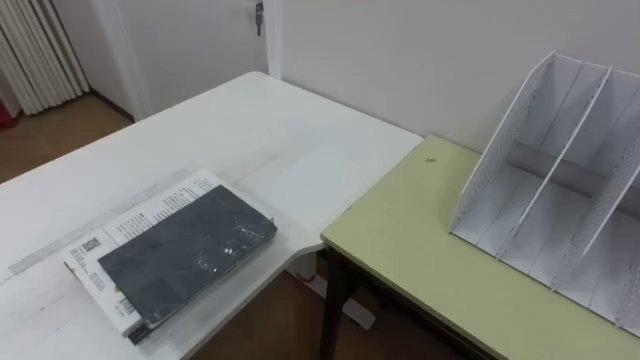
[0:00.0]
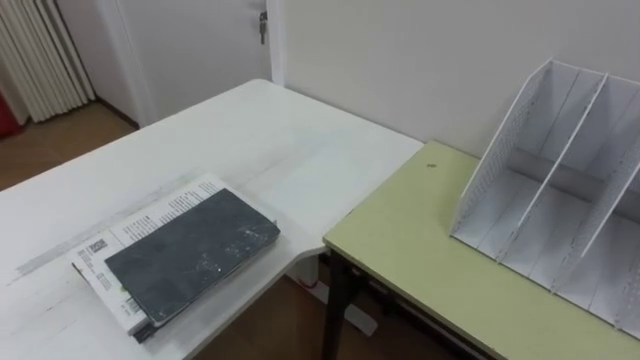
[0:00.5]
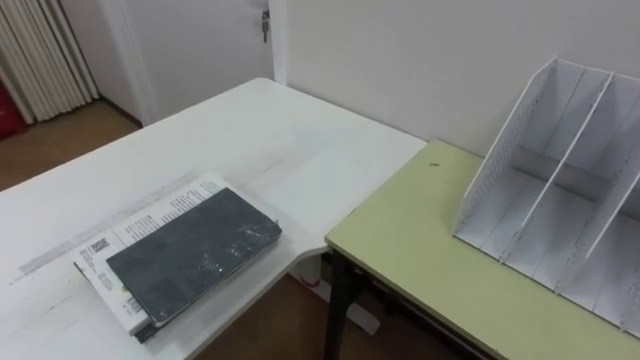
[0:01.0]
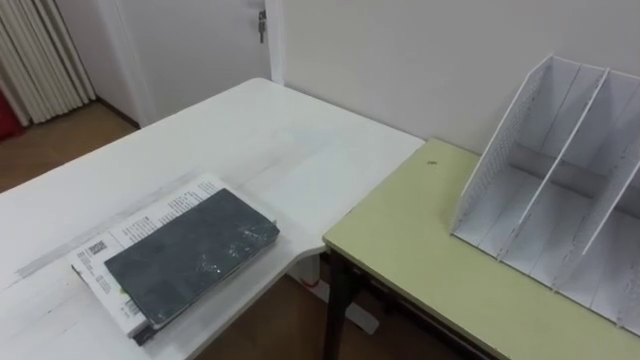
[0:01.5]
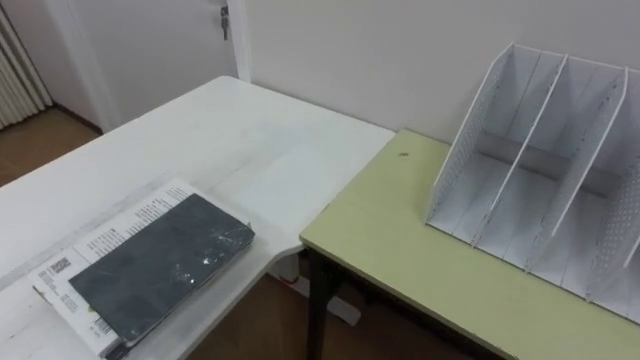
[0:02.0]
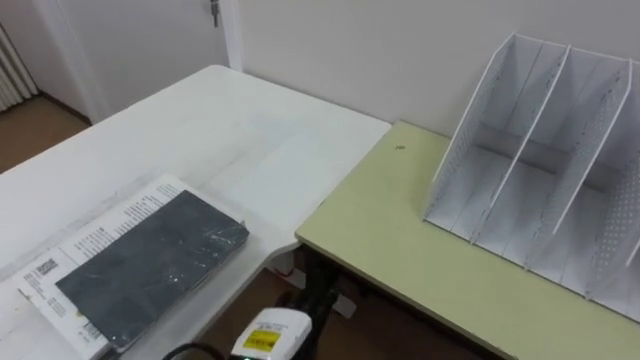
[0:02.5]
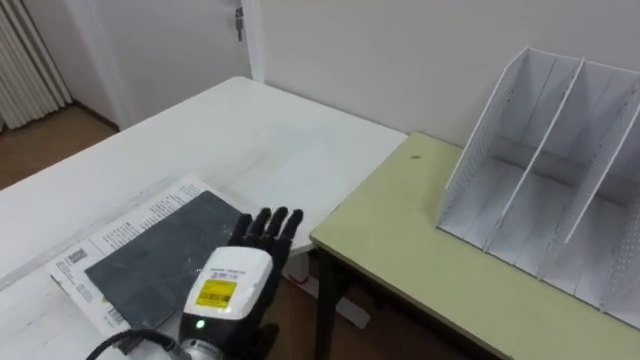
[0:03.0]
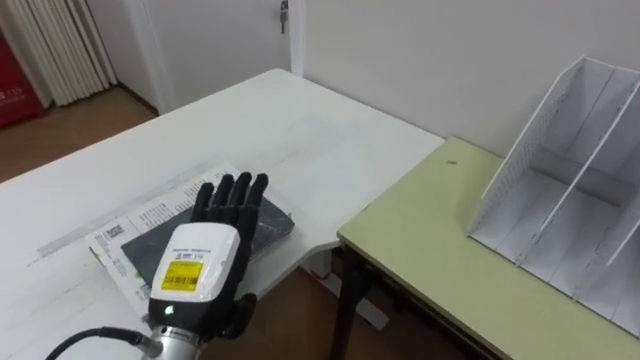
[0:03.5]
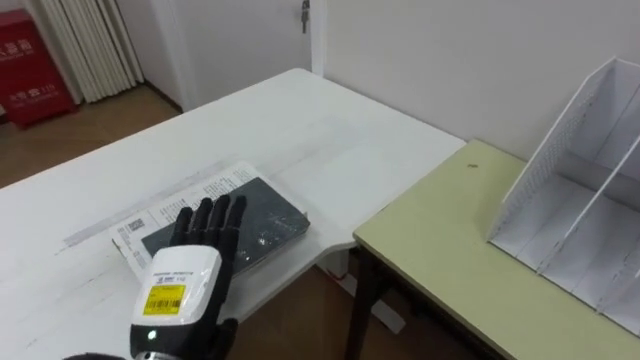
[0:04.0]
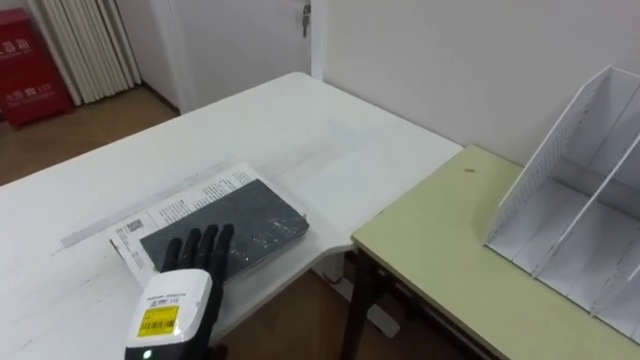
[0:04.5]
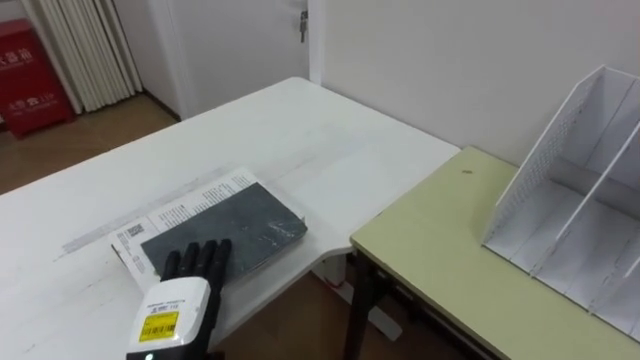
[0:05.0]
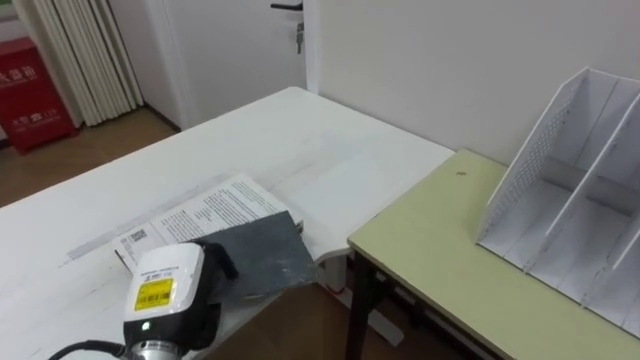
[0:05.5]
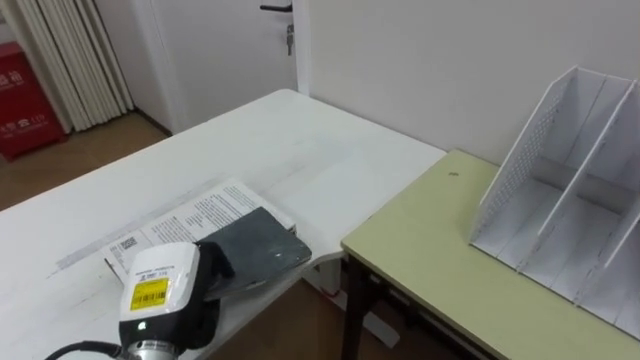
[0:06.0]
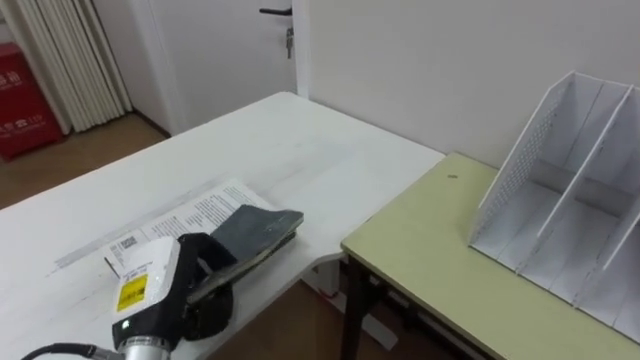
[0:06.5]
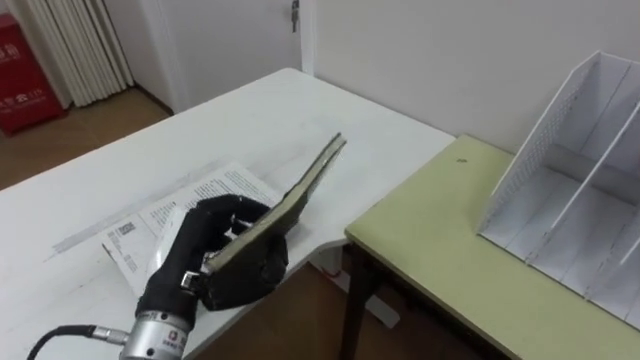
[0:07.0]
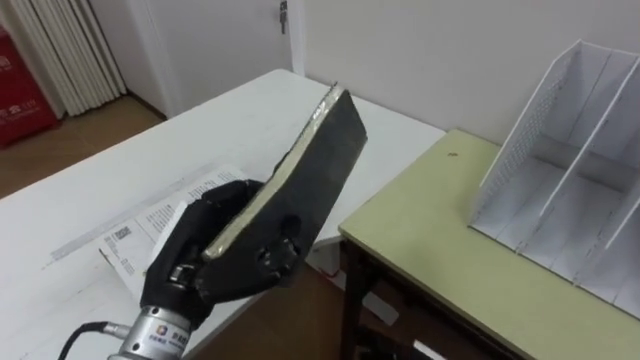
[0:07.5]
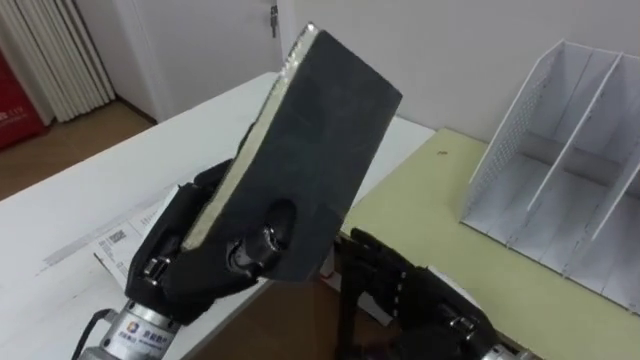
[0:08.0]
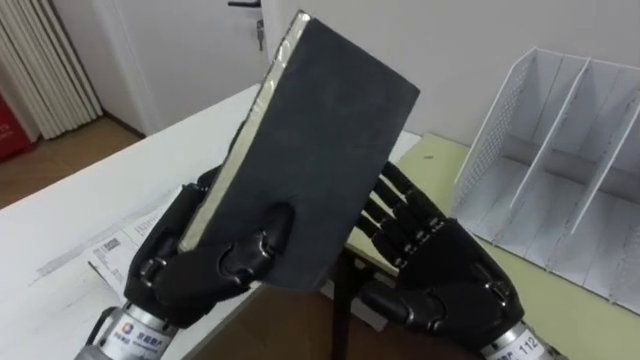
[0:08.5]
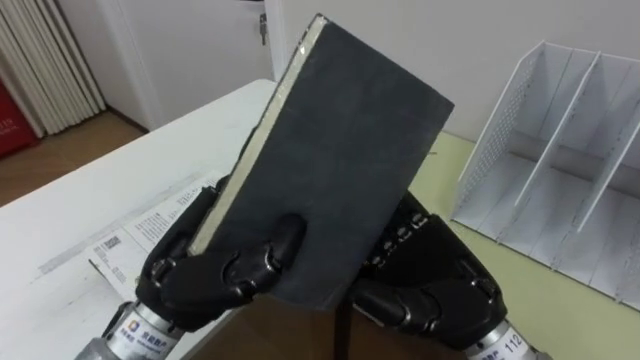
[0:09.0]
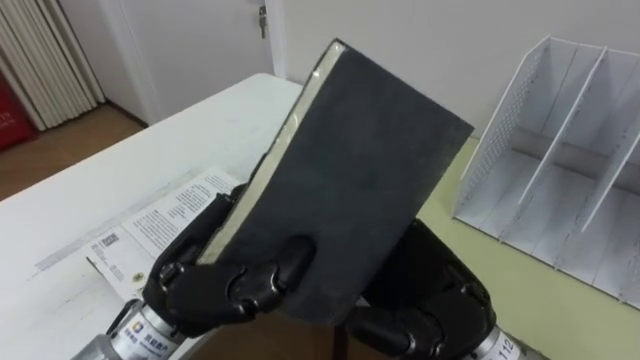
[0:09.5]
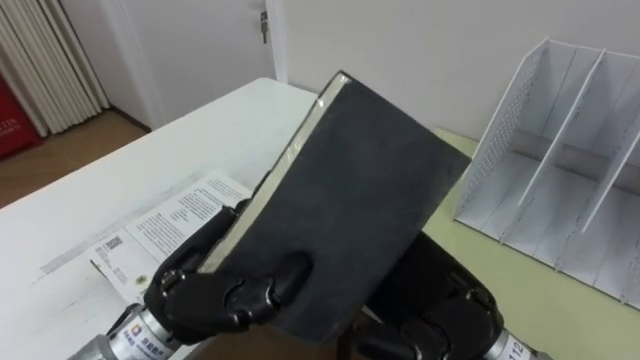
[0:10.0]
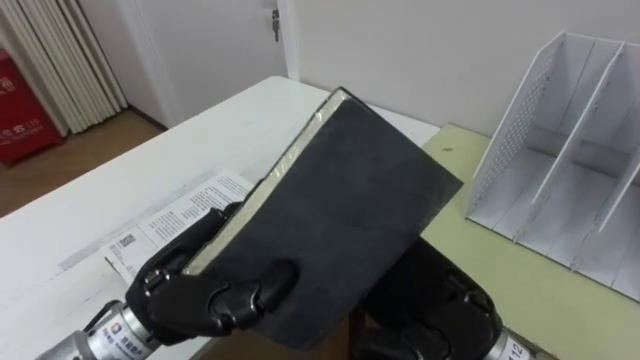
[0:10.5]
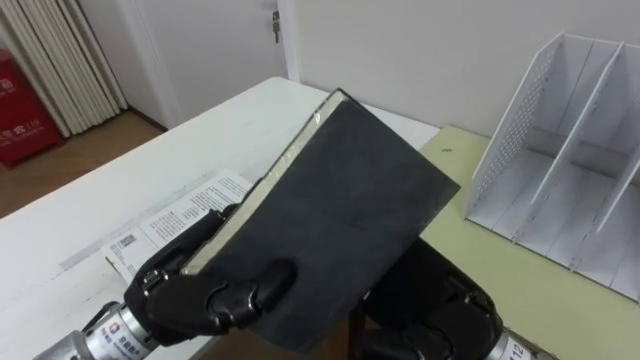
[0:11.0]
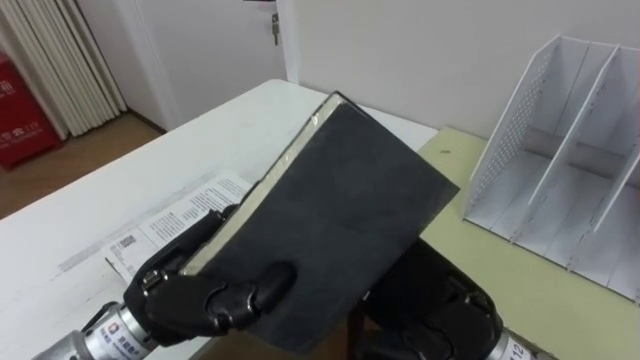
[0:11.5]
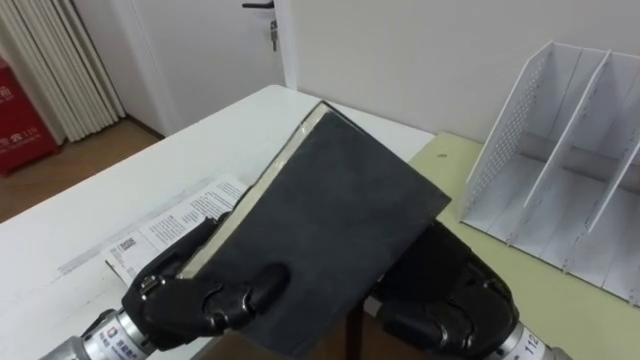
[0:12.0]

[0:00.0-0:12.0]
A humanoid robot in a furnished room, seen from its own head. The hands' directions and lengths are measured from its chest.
Task of the whole recording: Put the books on the table onto the bookshelf.
0:04.0 to 0:06.0: The left hand closes its fingers.
0:06.0 to 0:08.0: The left hand travels upward by approximately 10 cm.
0:08.0 to 0:10.0: The right hand travels upward by about 10 cm.
0:10.0 to 0:12.0: The hands stay close to where they were, moving slightly.

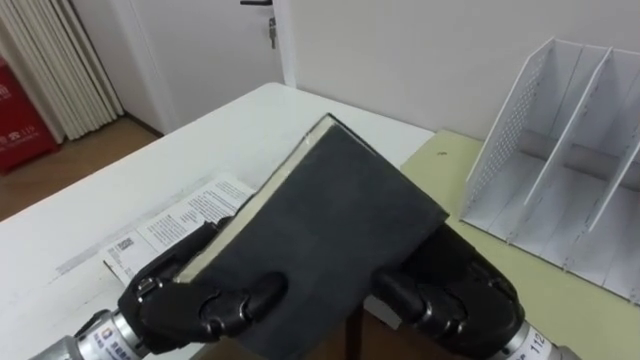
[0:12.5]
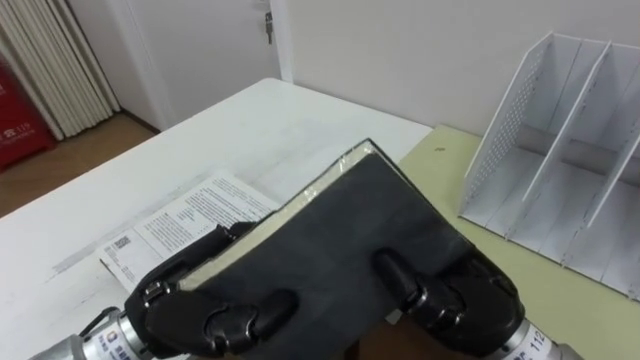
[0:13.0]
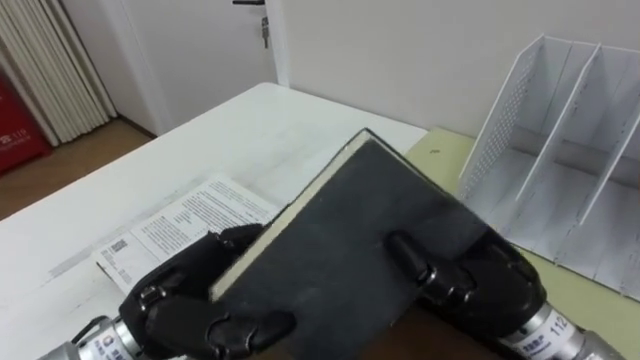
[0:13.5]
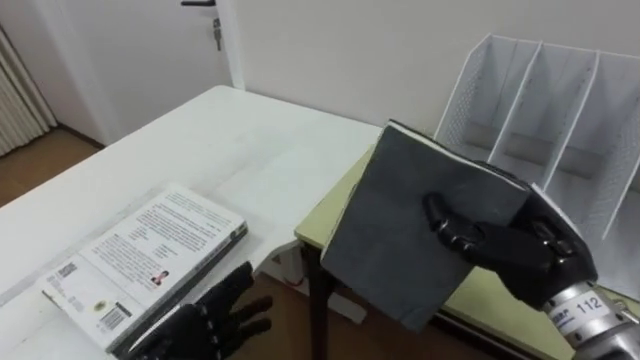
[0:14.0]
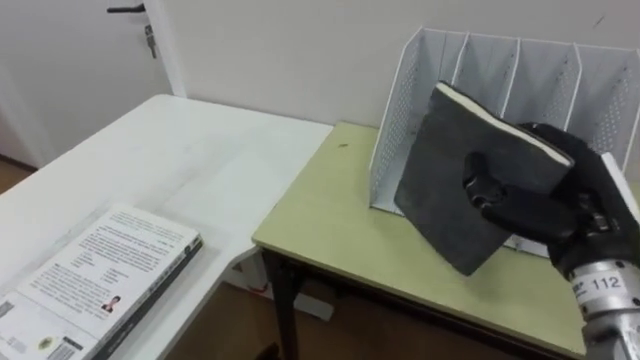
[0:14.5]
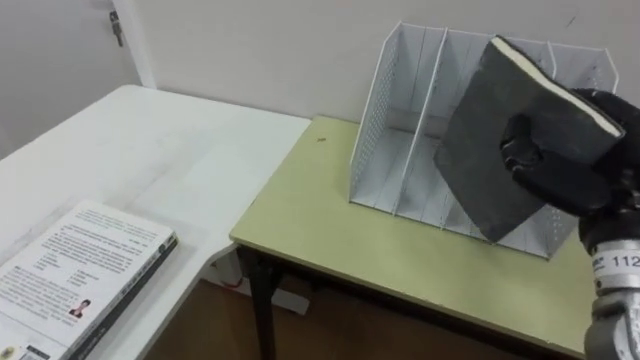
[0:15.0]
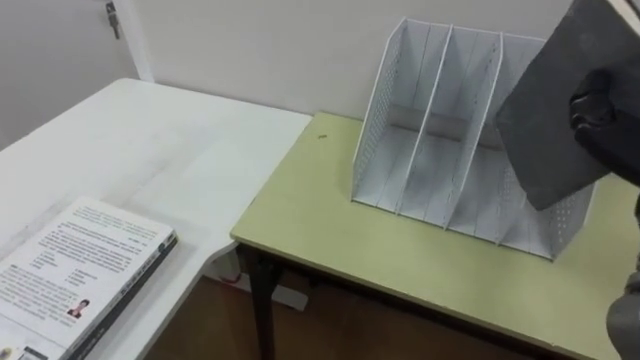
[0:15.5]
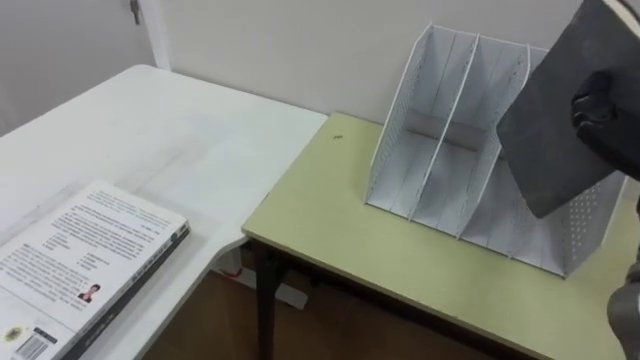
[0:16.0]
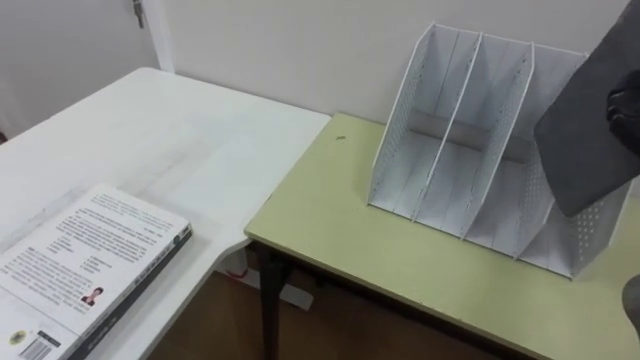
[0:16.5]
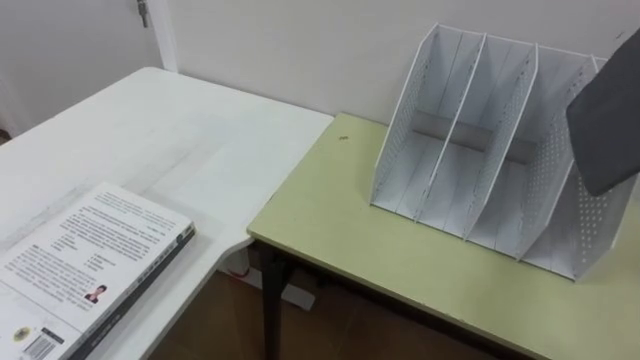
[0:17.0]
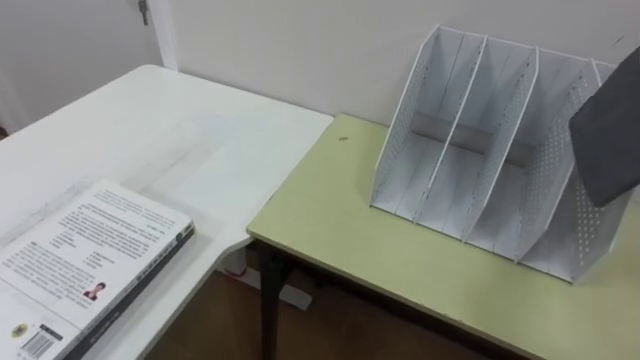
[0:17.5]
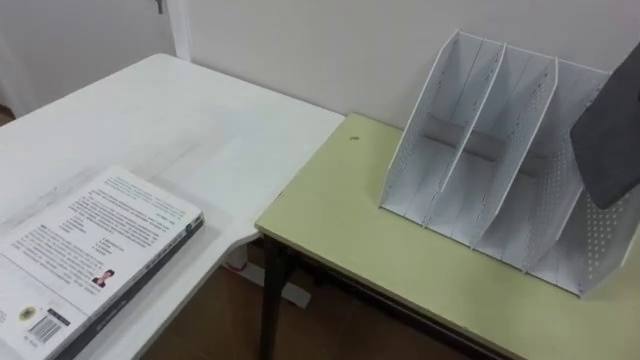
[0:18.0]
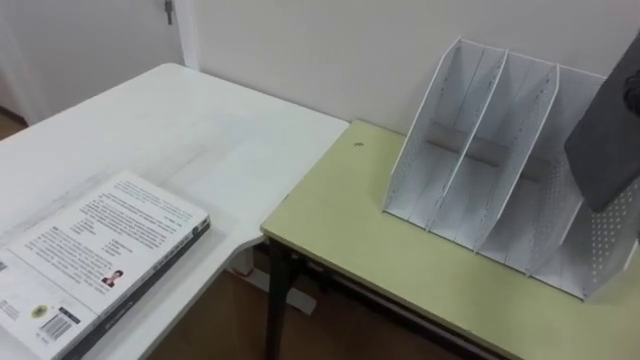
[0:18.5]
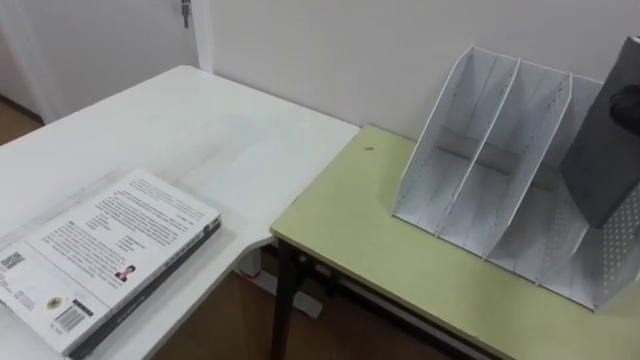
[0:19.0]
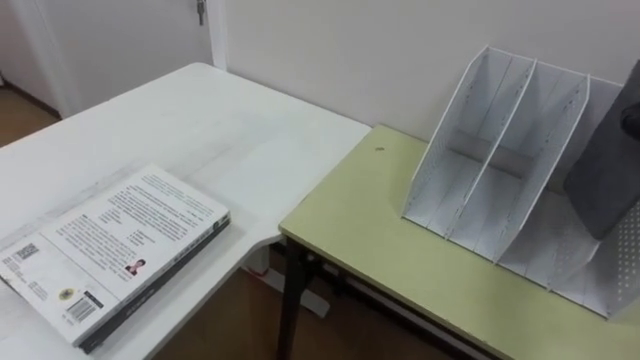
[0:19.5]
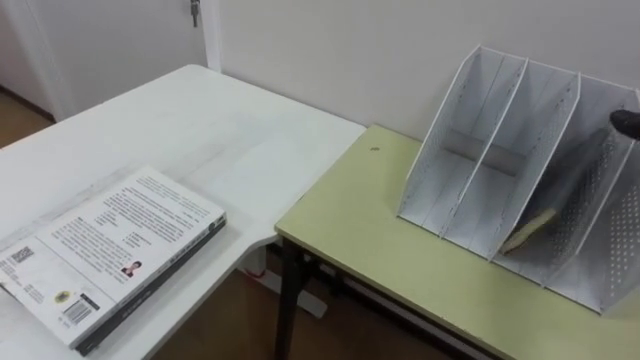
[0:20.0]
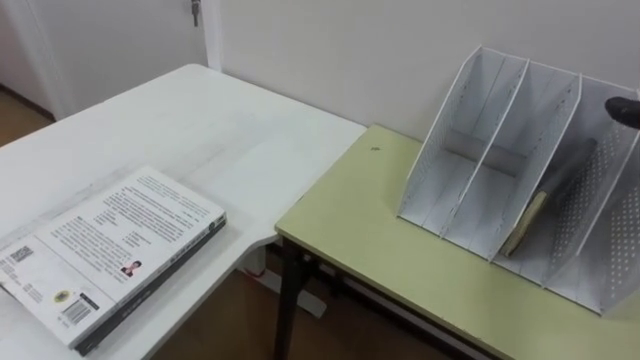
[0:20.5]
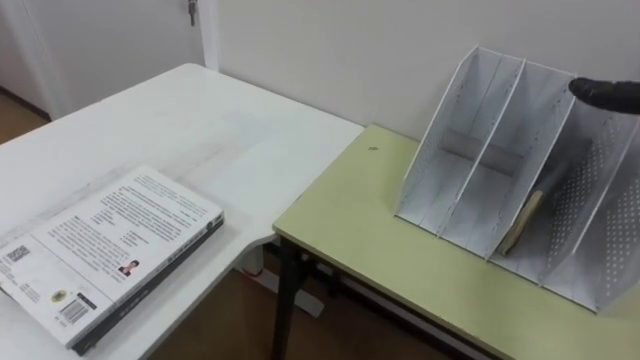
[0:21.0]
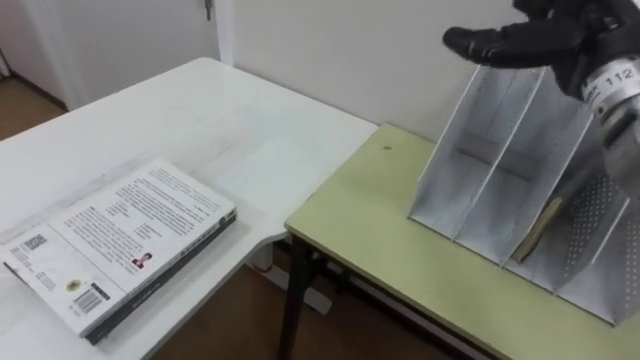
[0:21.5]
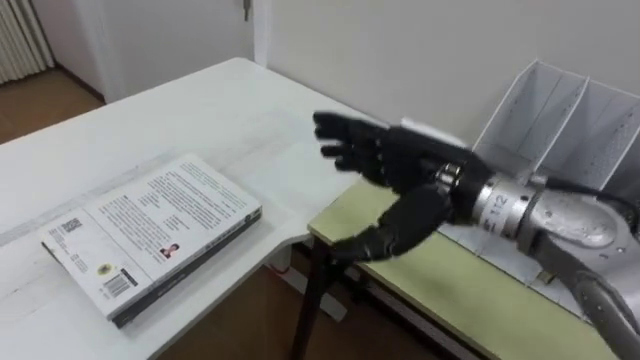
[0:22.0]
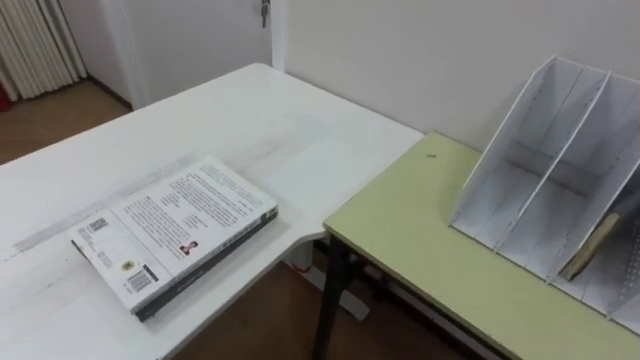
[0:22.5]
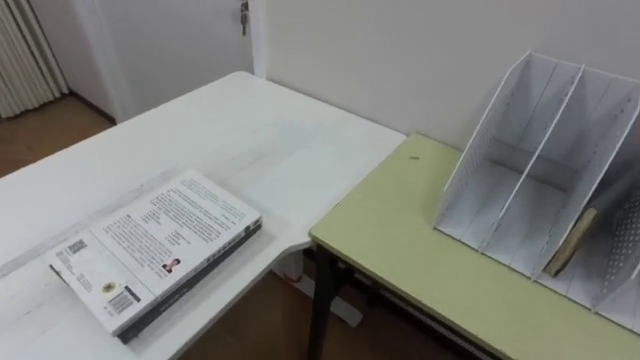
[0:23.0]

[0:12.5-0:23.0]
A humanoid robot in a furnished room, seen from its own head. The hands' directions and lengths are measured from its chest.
Task of the whole recording: Put the books on the table onto the bookshelf.
0:12.5 to 0:14.5: The right hand is displaced to the right and forward by approximately 15 cm, and closes its fingers.
